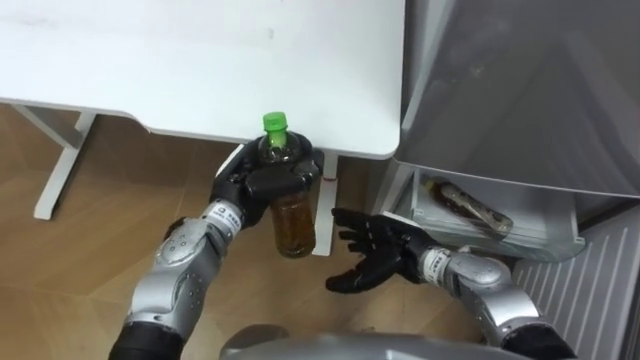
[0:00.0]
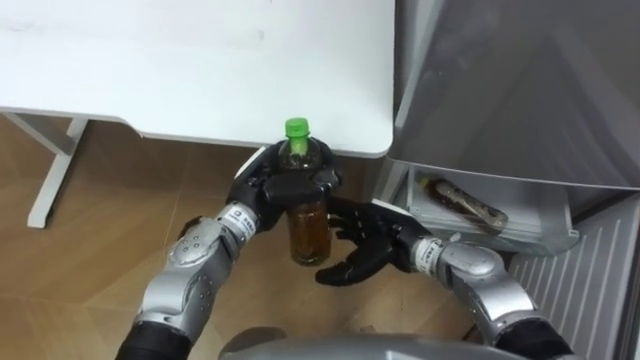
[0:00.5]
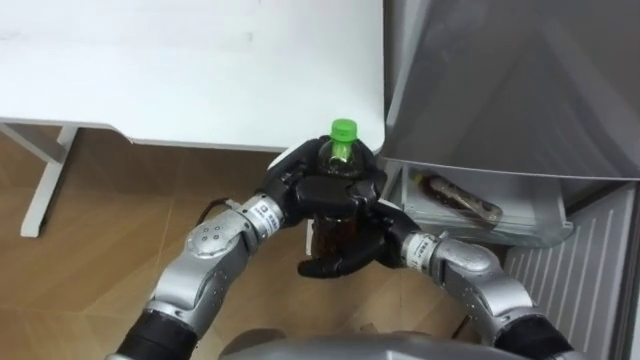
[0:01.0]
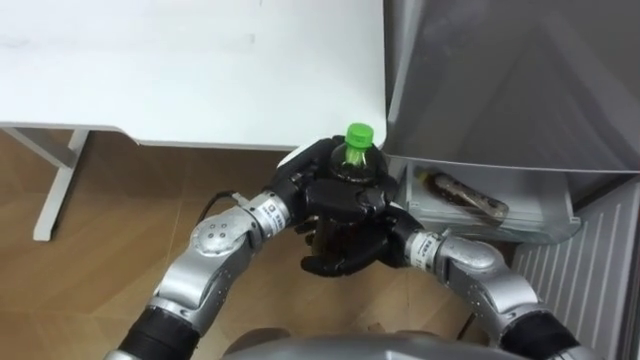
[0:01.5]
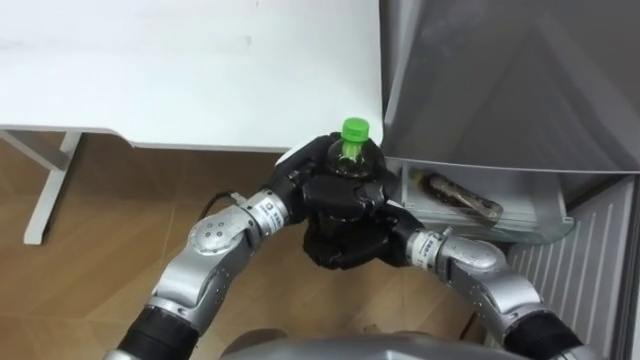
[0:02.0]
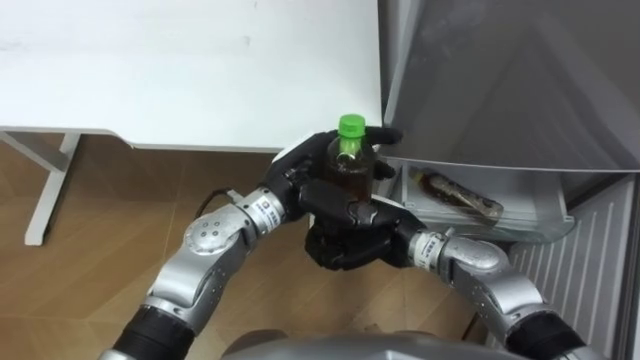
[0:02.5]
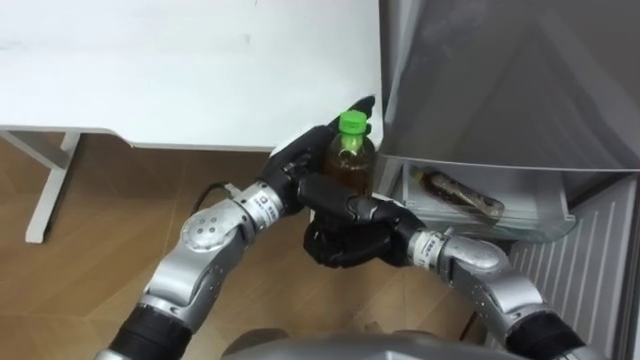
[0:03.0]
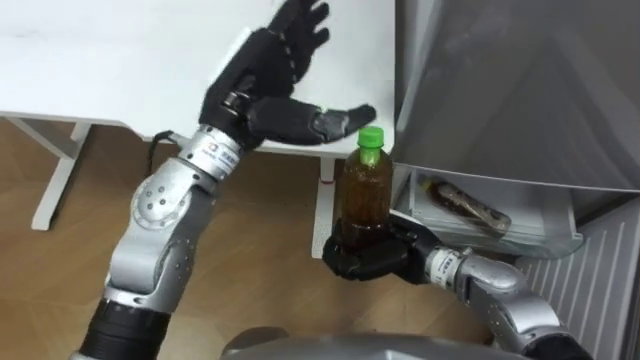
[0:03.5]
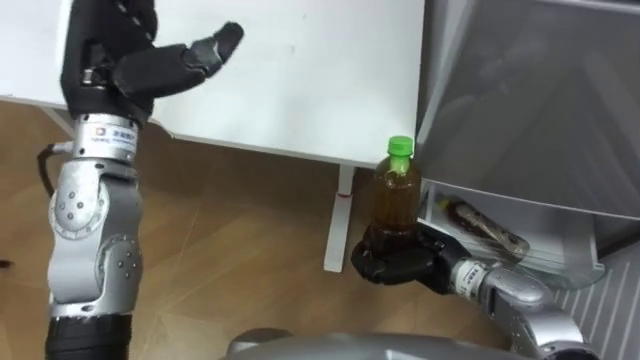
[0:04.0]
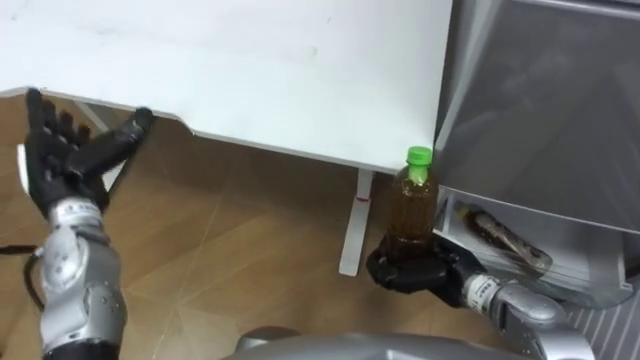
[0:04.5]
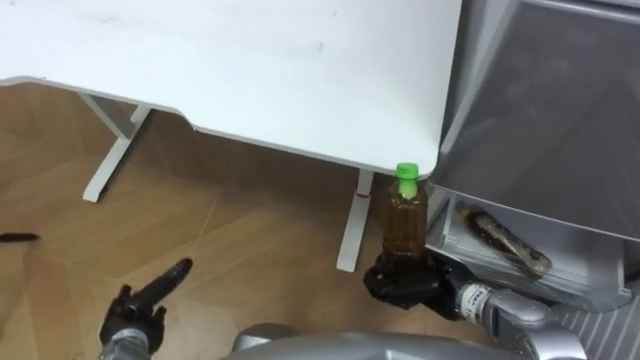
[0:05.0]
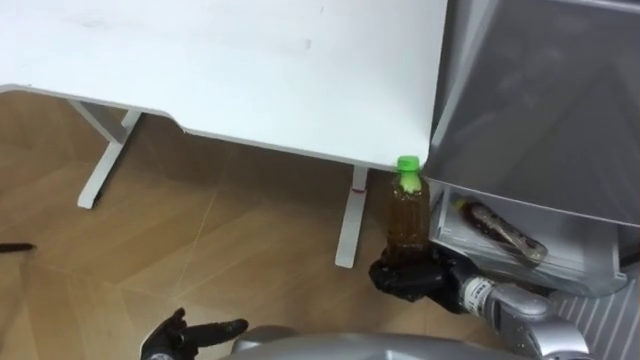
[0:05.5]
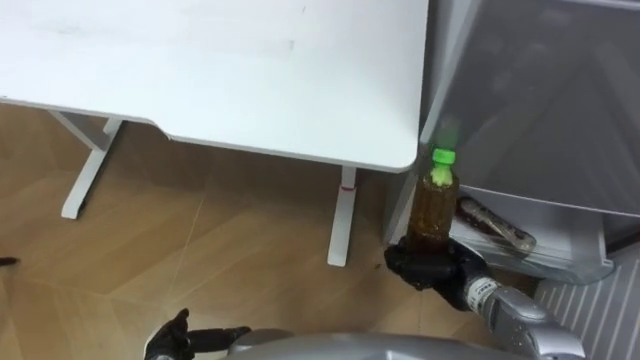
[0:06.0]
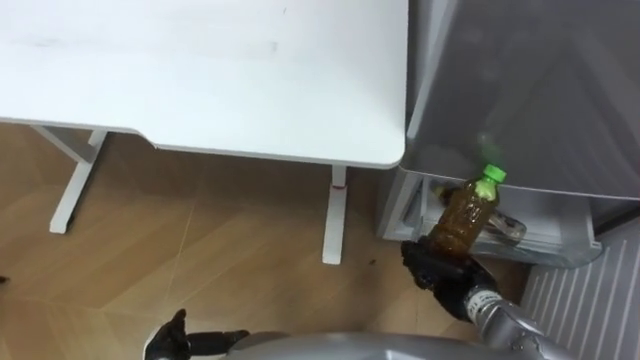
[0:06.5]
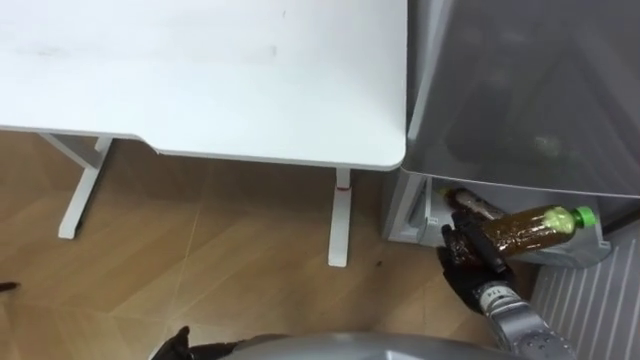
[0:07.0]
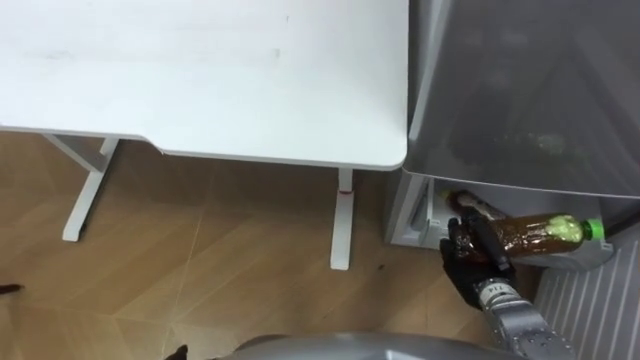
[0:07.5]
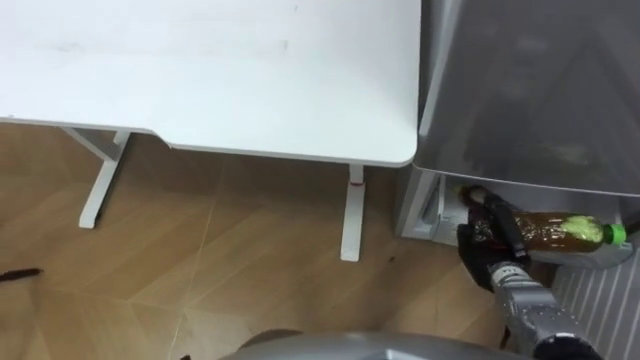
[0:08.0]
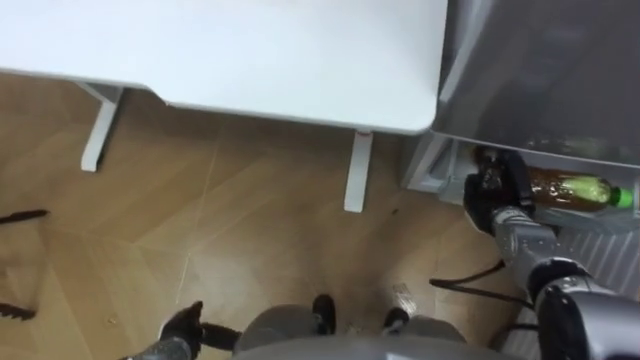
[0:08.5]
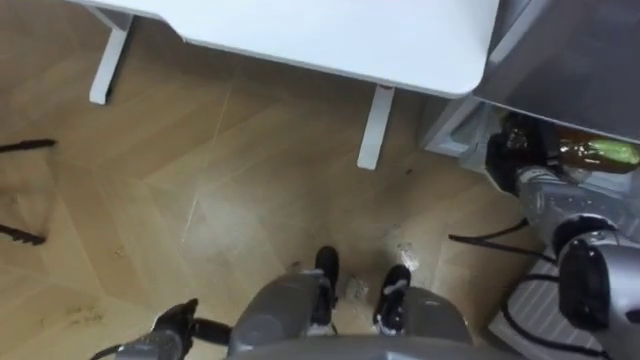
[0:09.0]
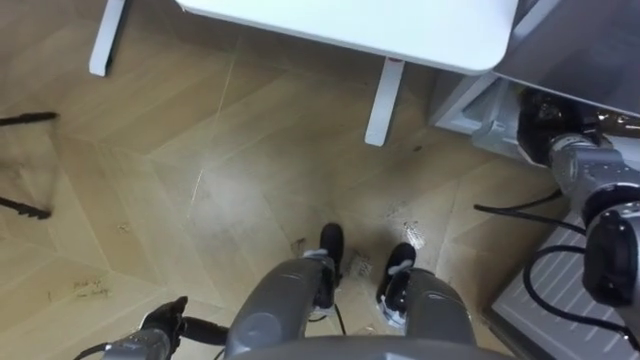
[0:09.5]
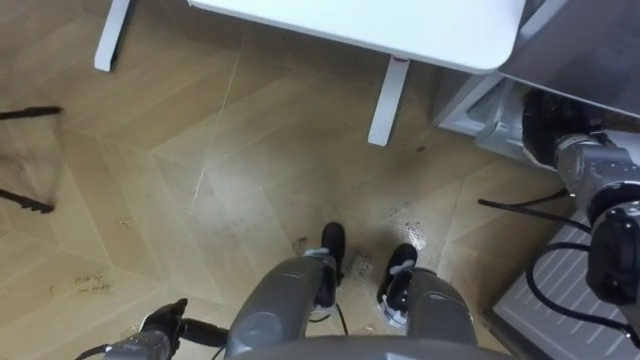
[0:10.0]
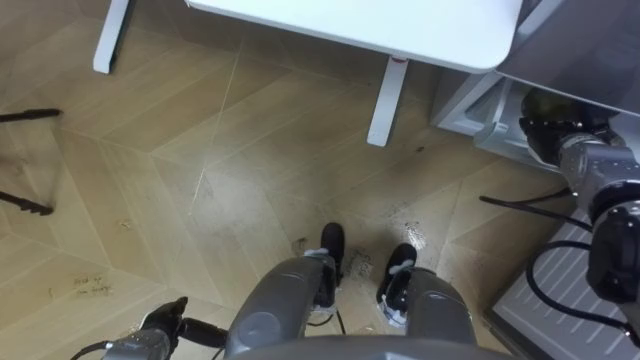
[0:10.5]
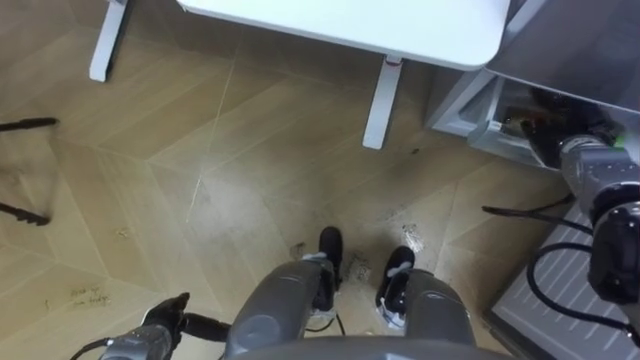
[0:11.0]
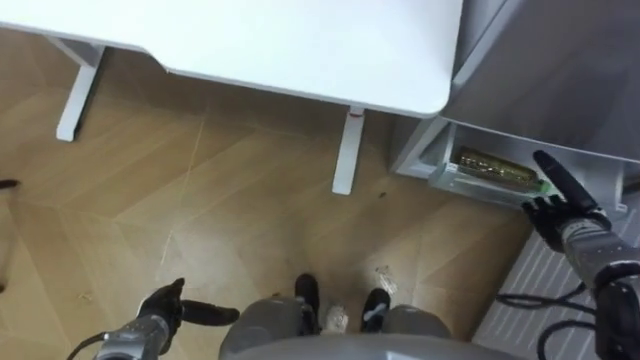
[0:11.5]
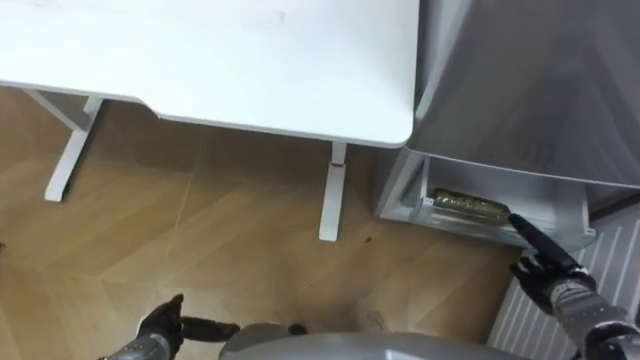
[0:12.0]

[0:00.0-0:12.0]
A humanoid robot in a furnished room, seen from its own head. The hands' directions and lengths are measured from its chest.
Task of the whole recording: Place the drink on the table on the bottom shelf of the refrigerator, then close the drawer and the refrigerator door.
0:00.0 to 0:02.0: The right hand moves roughly 5 cm, and closes. Meanwhile the left hand moves to the right, about 10 cm.
0:02.0 to 0:04.0: The right hand moves to the right, some 5 cm. Meanwhile the left hand heads to the left and upward, covering some 25 cm, and opens up.
0:04.0 to 0:06.0: The left hand moves downward and backward, some 40 cm; the right hand moves about 5 cm.
0:06.0 to 0:08.0: The right hand goes approximately 5 cm to the right.
0:08.0 to 0:10.0: The right hand is displaced forward, upward and to the right by about 20 cm, and opens.
0:10.0 to 0:12.0: The right hand travels backward and downward by some 20 cm, and opens.

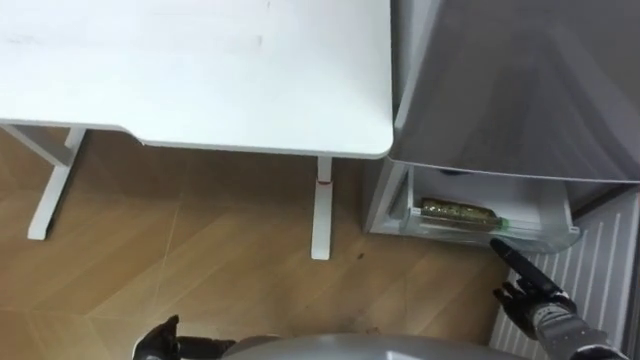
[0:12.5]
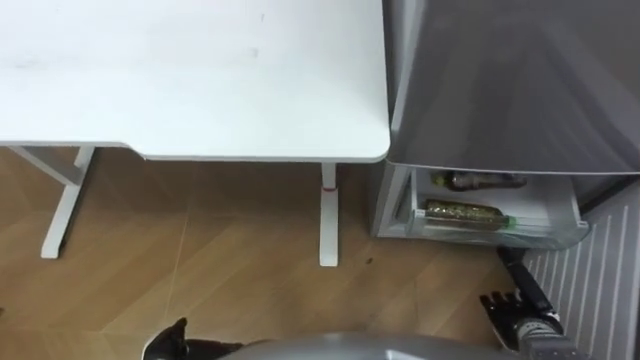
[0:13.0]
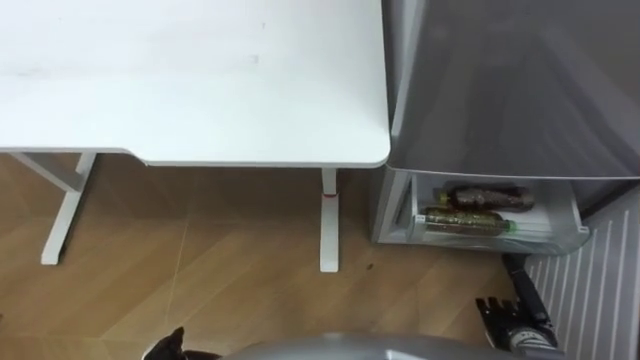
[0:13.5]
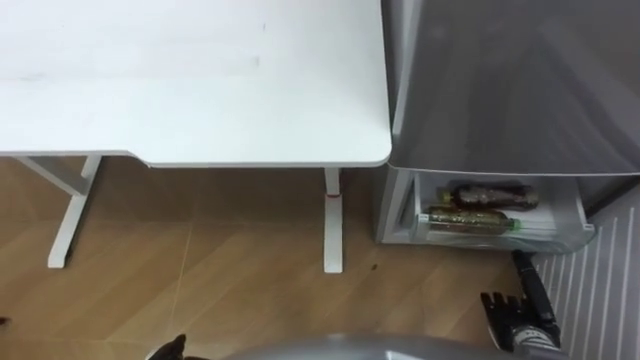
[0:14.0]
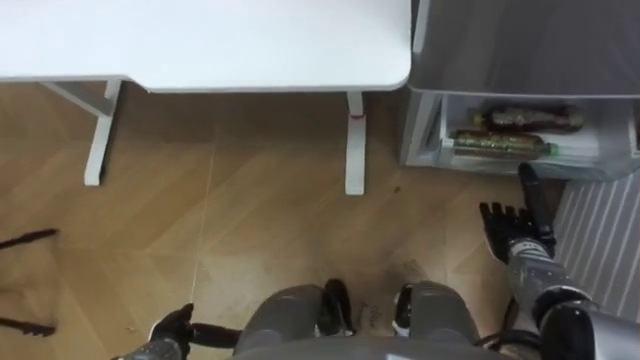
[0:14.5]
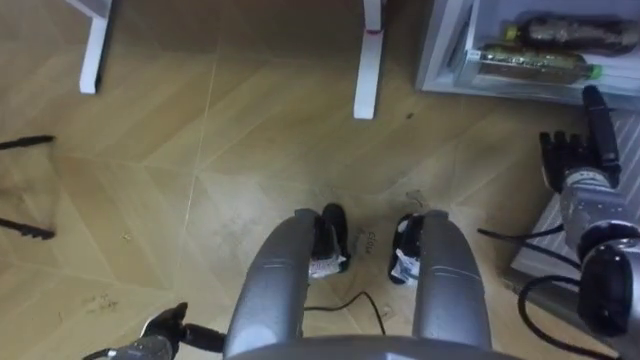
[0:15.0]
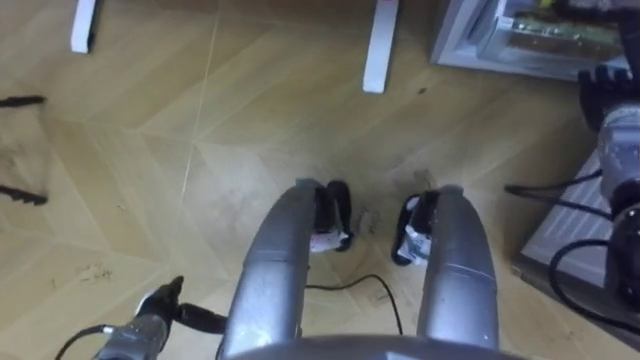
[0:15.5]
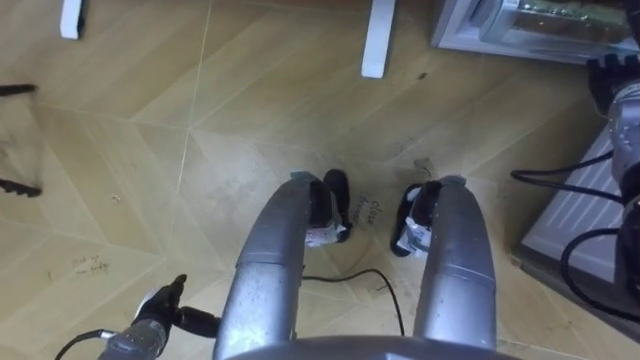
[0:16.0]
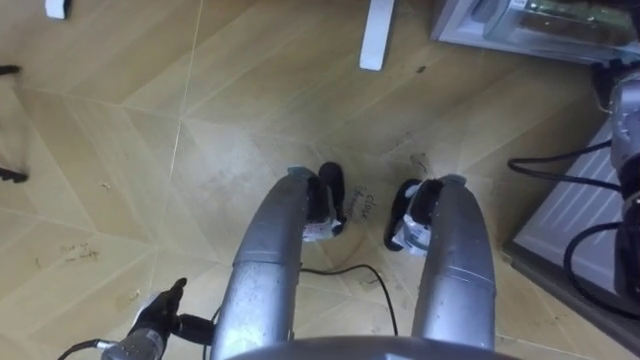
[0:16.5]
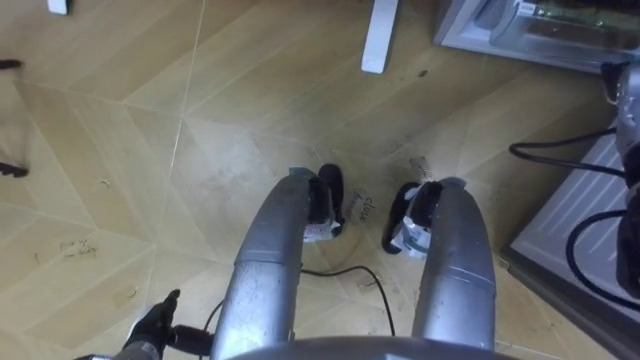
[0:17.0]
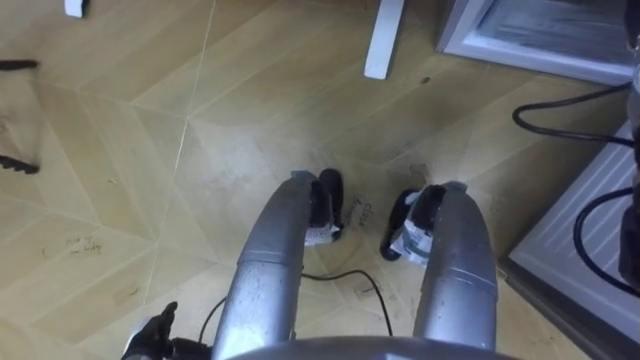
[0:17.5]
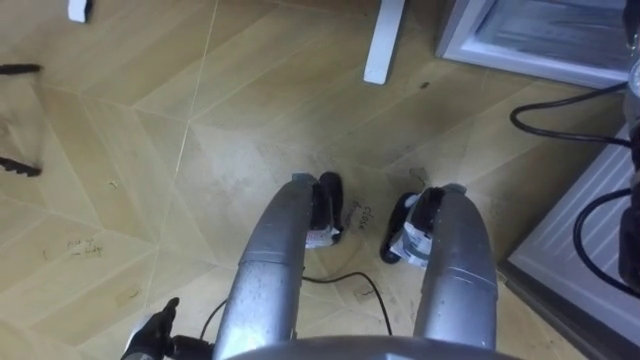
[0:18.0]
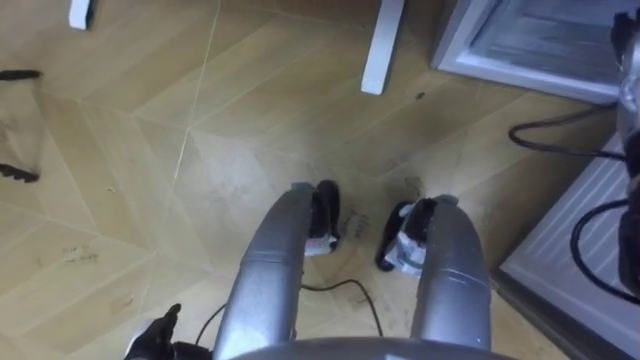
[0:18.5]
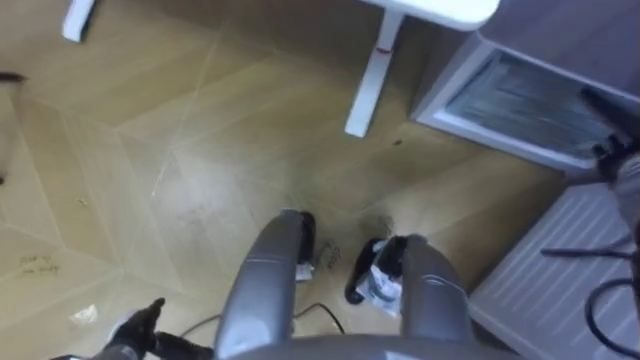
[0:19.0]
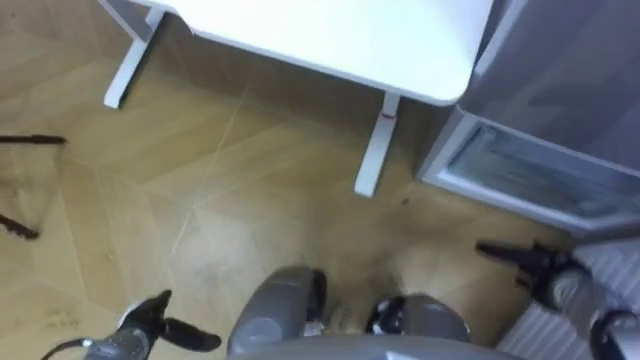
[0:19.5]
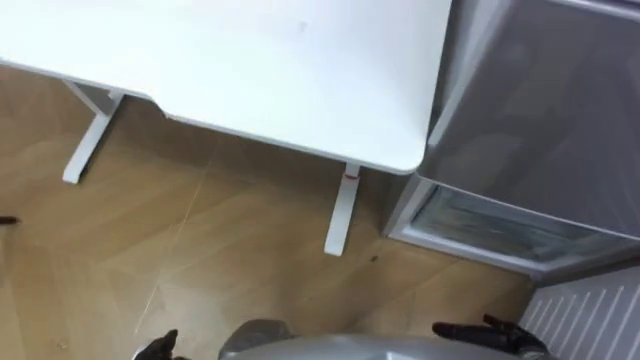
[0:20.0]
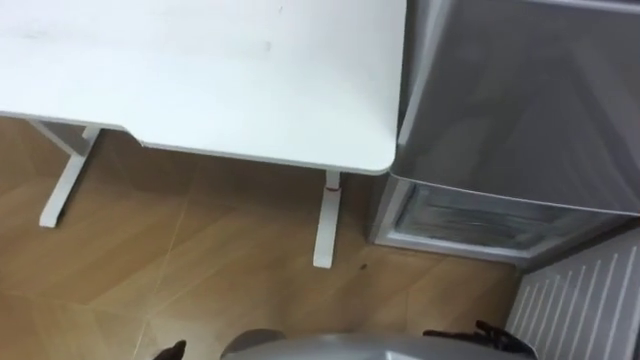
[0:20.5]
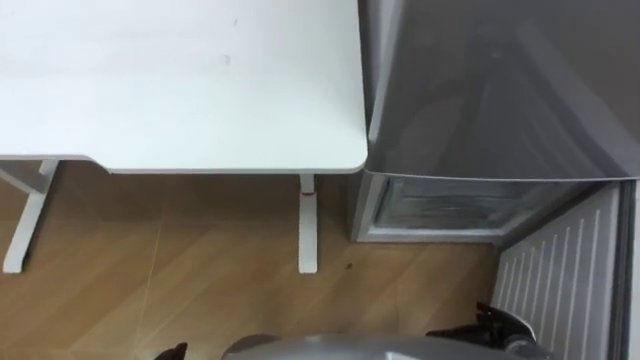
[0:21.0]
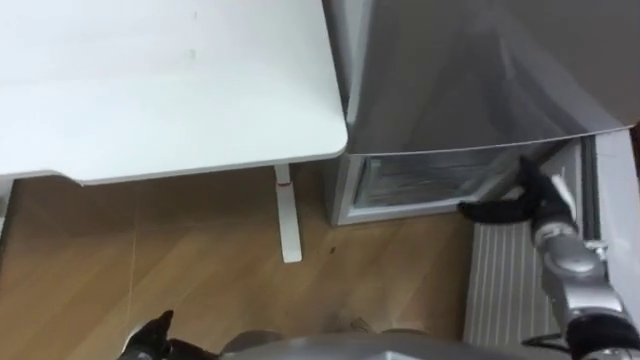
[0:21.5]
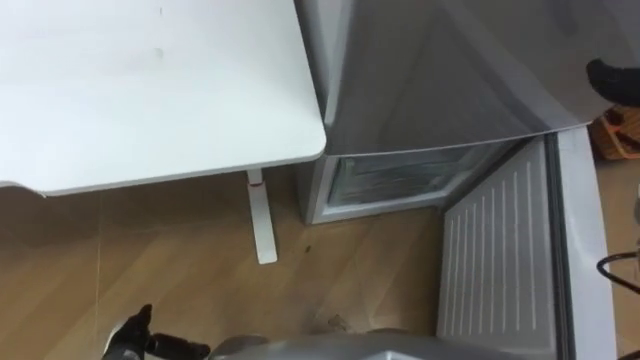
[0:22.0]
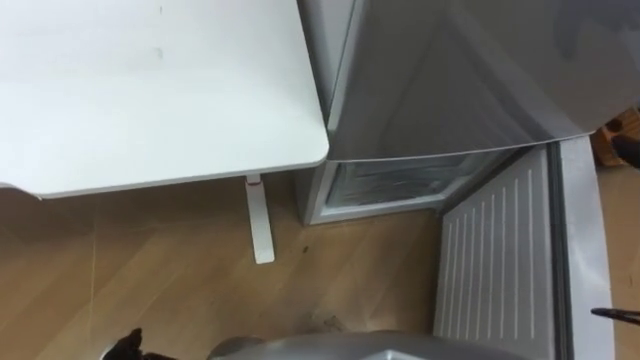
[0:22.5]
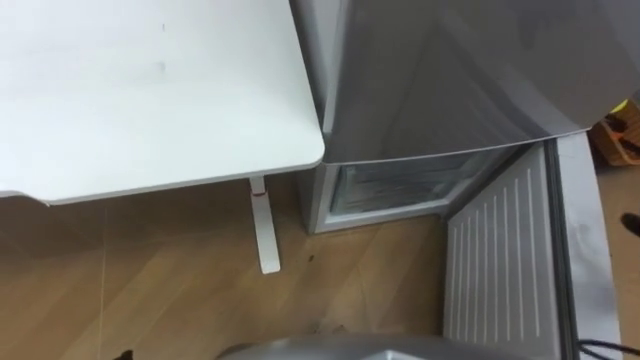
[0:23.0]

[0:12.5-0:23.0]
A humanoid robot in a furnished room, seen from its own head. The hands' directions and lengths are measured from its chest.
Task of the whole recording: Place the drink on the table on the bottom shelf of the refrigerator, then close the drawer and the refrigerator door.
0:12.5 to 0:14.5: The right hand travels forward by approximately 10 cm.
0:14.5 to 0:16.5: The right hand moves upward, forward and to the right, approximately 25 cm.
0:19.0 to 0:21.0: The robot's body swings roughly 15 degrees to its right.
